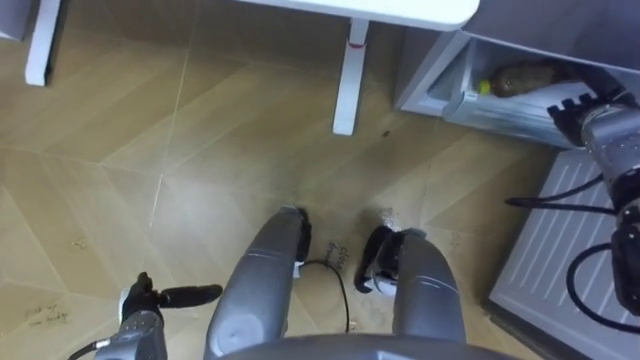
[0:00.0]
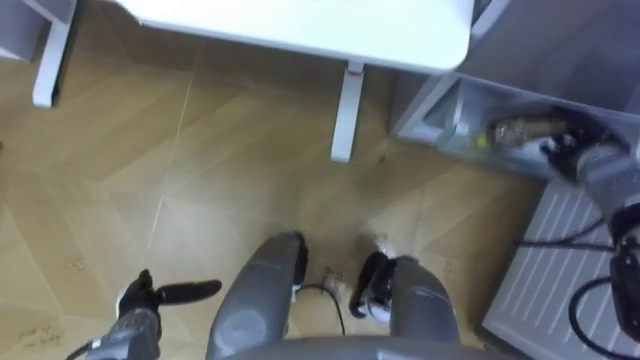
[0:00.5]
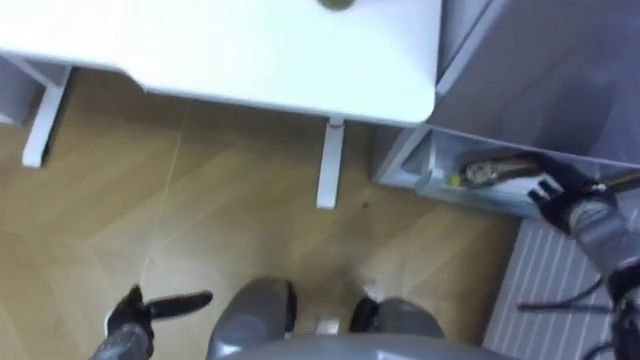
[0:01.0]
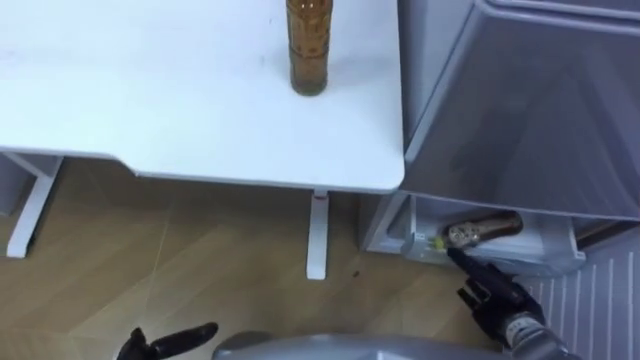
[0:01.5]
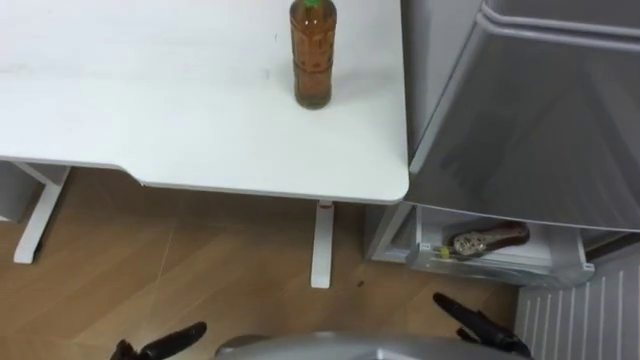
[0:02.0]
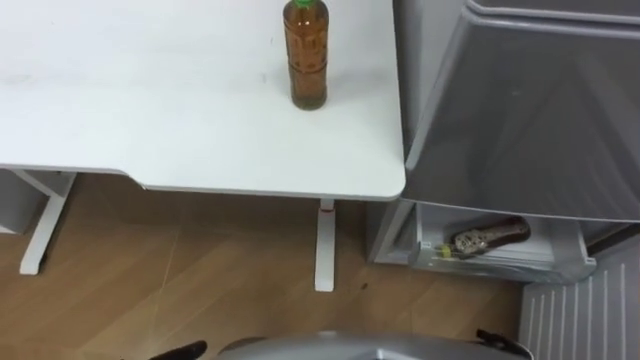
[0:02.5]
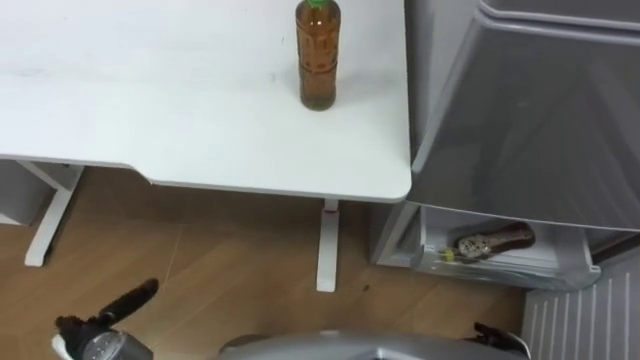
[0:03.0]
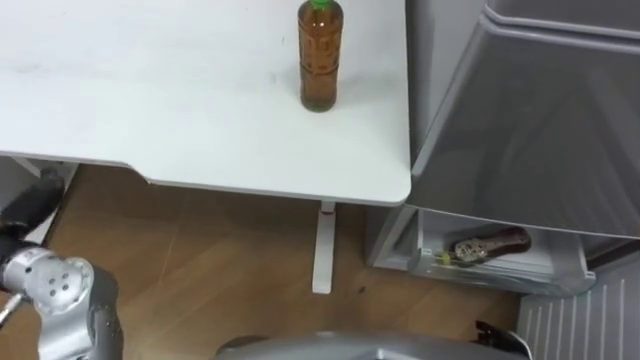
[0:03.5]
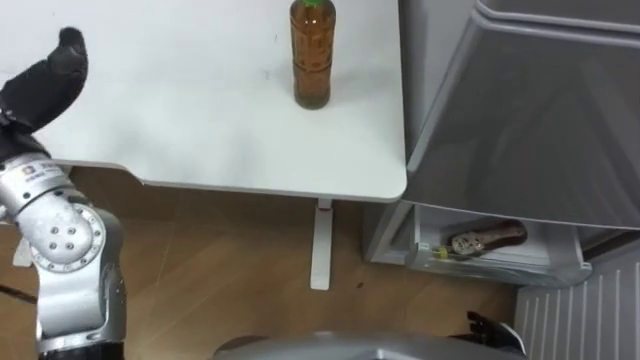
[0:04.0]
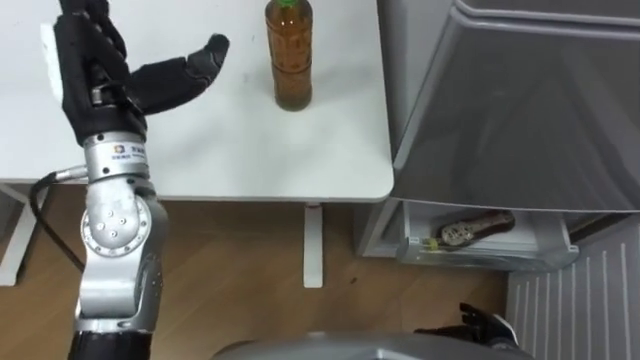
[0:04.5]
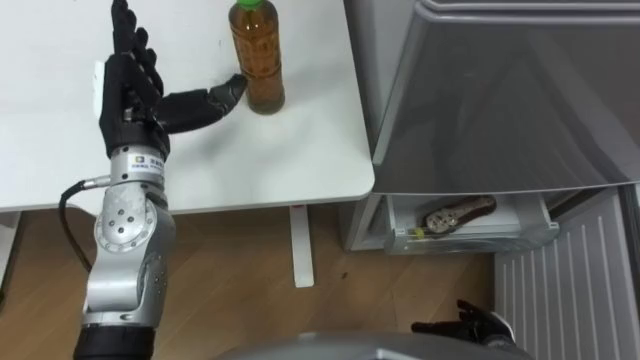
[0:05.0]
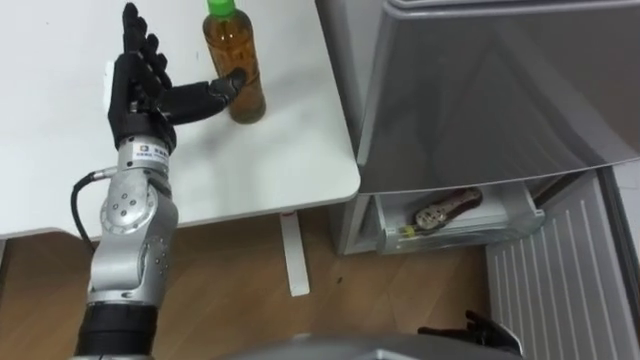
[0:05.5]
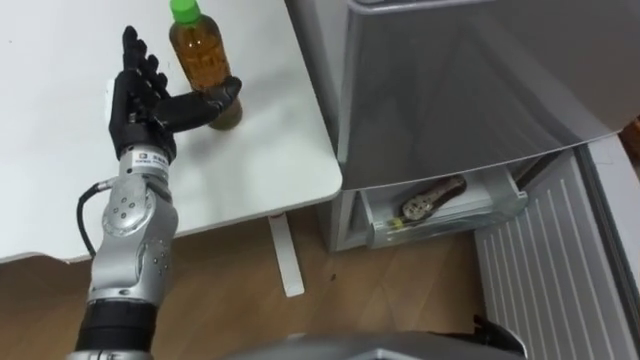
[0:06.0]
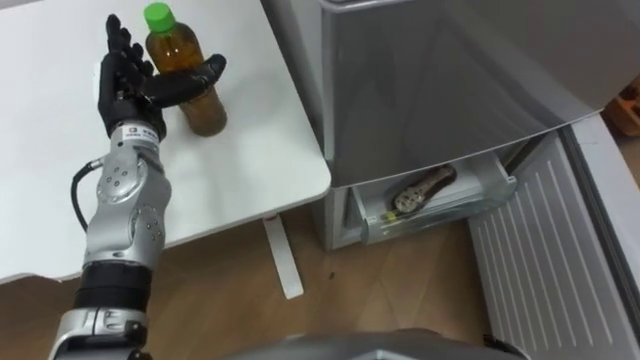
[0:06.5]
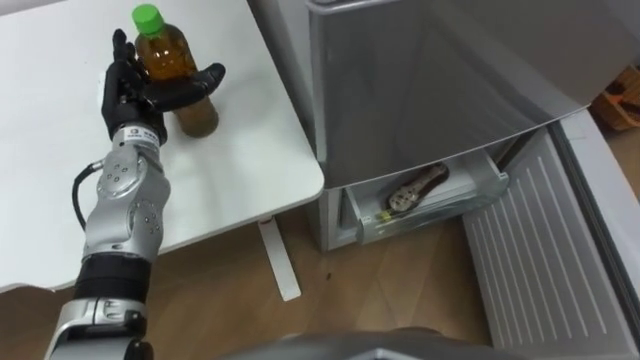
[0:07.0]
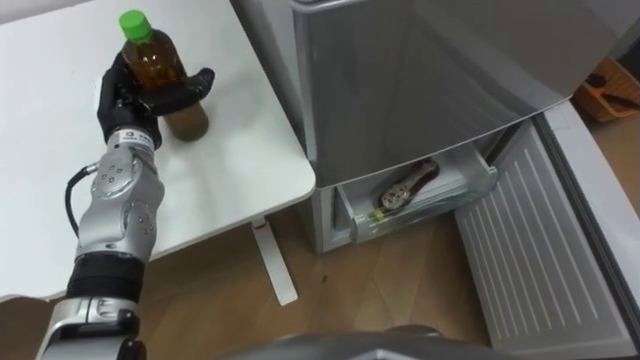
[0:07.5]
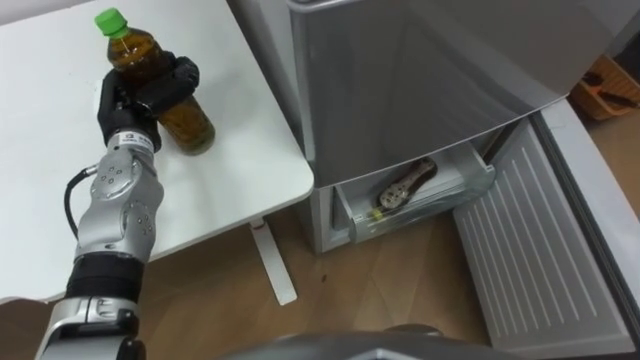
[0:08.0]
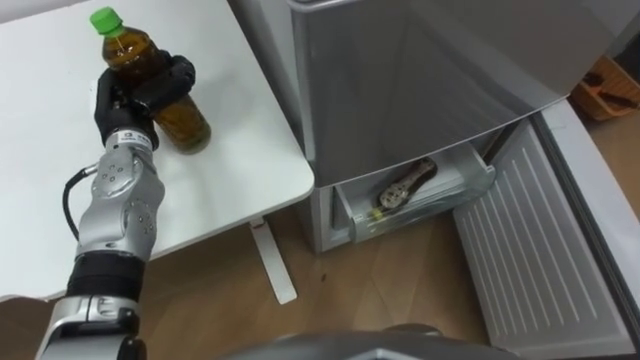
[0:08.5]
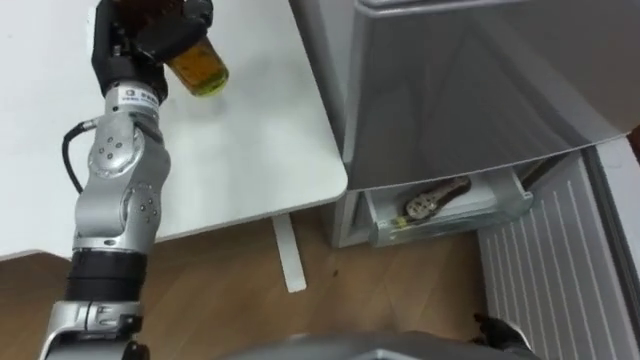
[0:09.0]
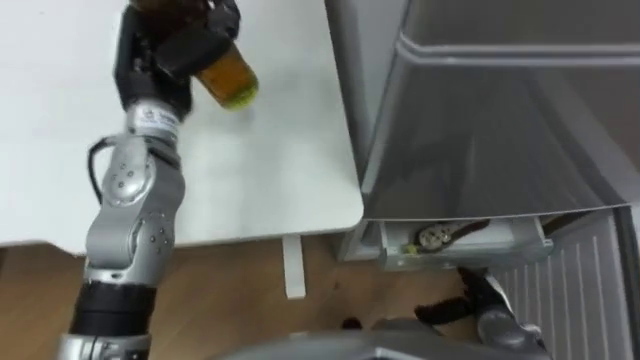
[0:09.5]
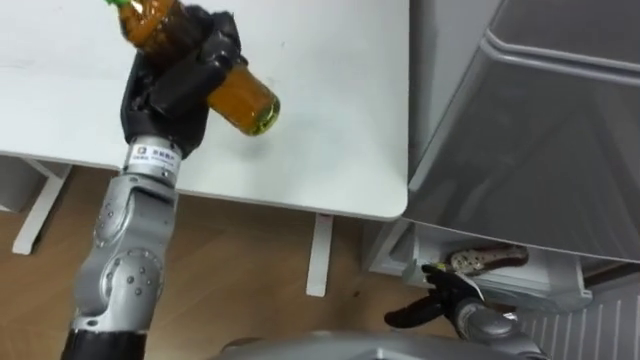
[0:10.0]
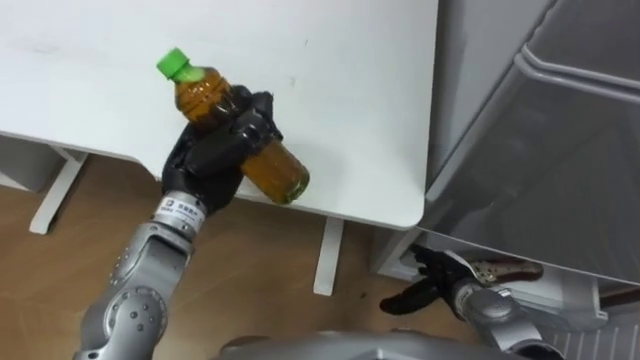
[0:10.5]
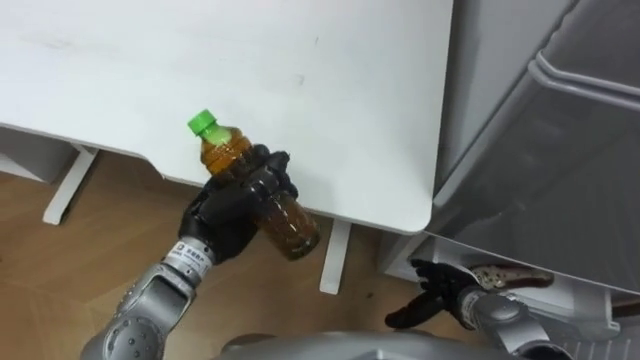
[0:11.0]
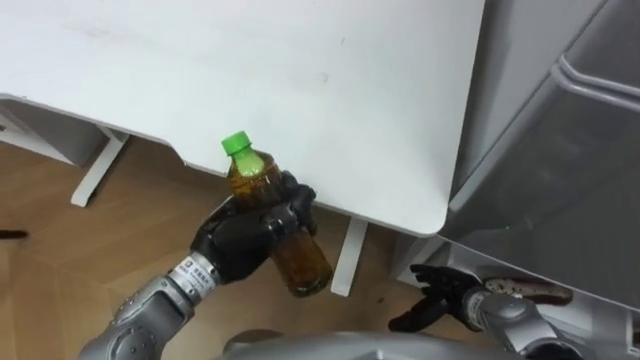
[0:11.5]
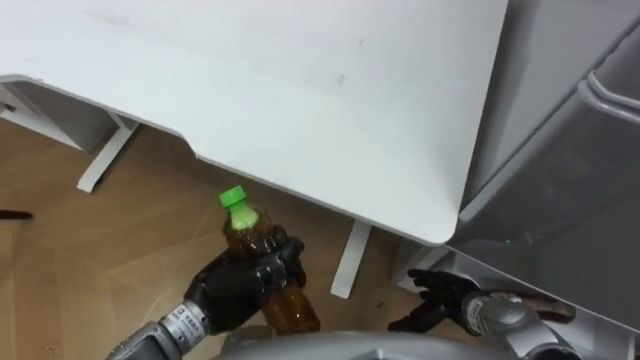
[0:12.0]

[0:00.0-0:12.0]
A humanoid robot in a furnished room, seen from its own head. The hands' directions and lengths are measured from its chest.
Task of the whole recording: Place the drink on the table on the bottom shelf of the refrigerator, then close the drawer and the refrigerator door.
0:00.0 to 0:02.0: The right hand moves backward and downward, roughly 35 cm.
0:06.0 to 0:08.0: The left hand closes its fingers.
0:08.0 to 0:10.0: The left hand heads upward and to the right, covering approximately 10 cm.
0:10.0 to 0:12.0: The left hand shifts roughly 25 cm downward and backward.

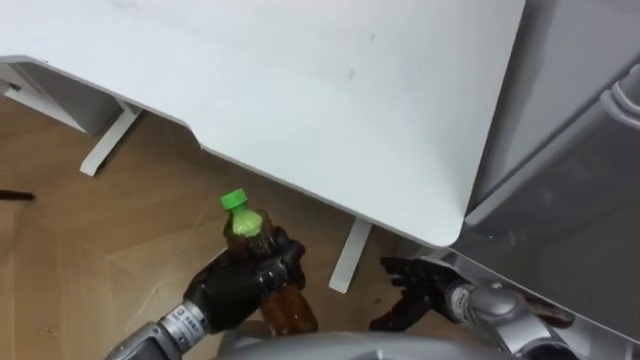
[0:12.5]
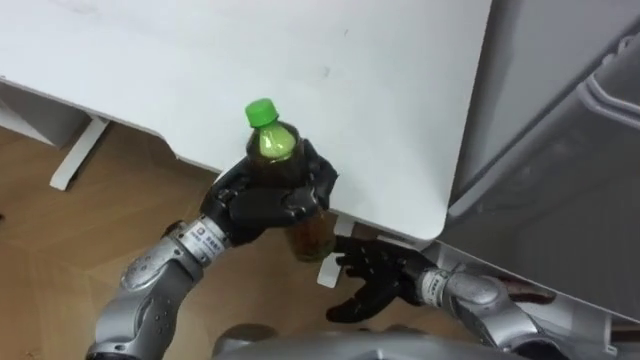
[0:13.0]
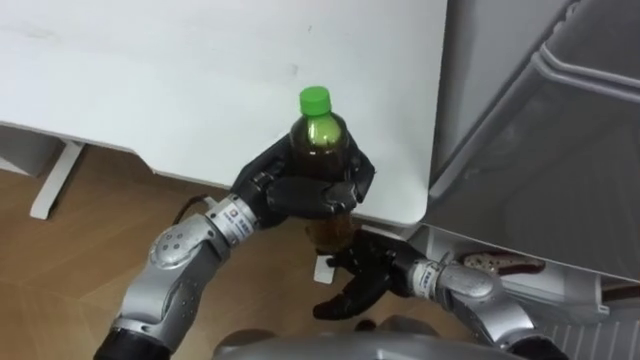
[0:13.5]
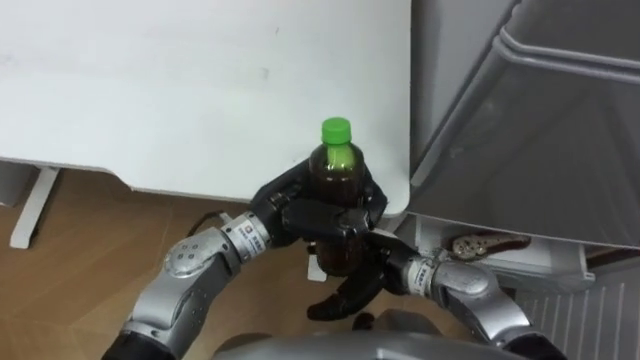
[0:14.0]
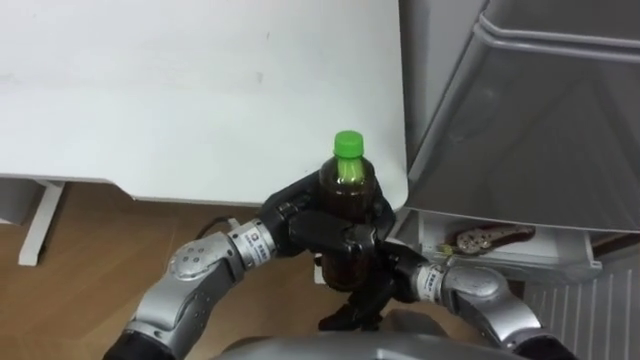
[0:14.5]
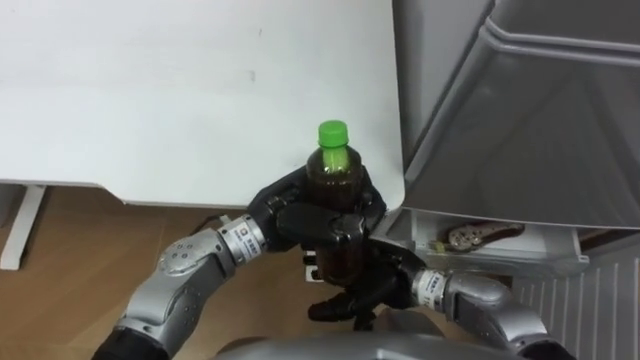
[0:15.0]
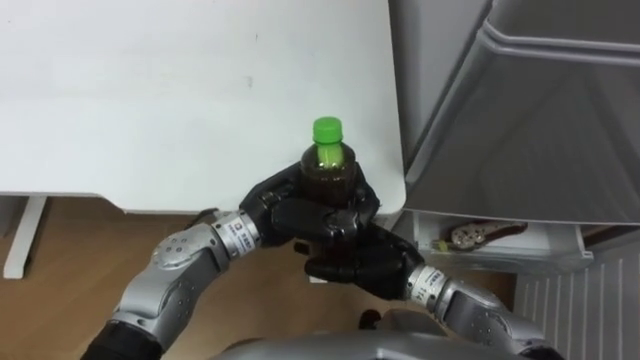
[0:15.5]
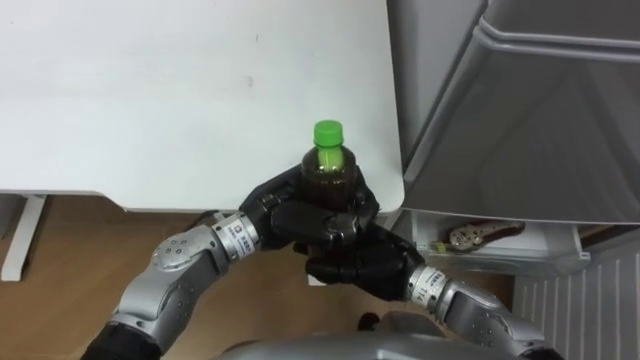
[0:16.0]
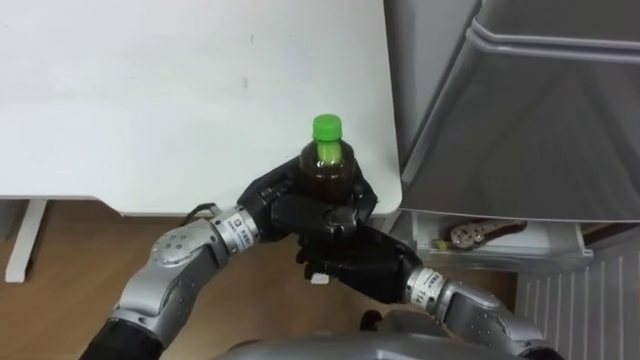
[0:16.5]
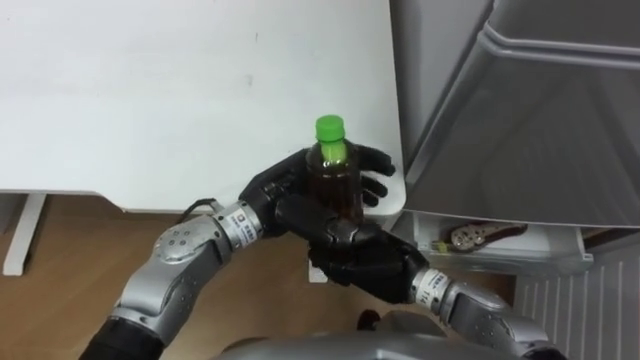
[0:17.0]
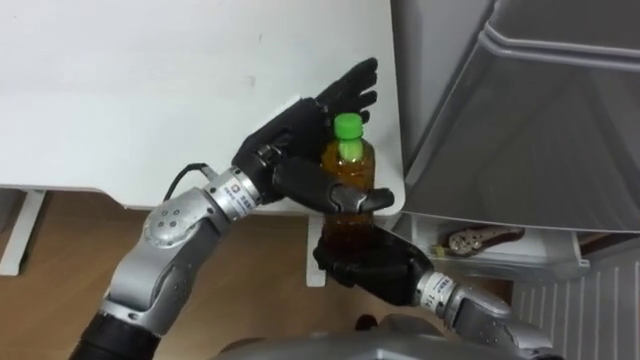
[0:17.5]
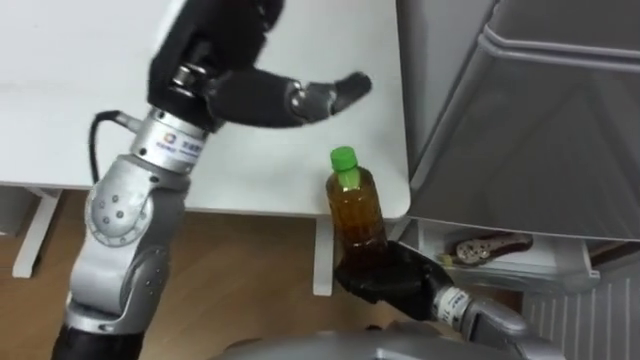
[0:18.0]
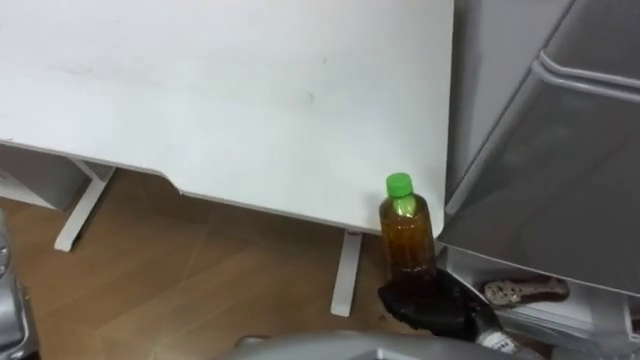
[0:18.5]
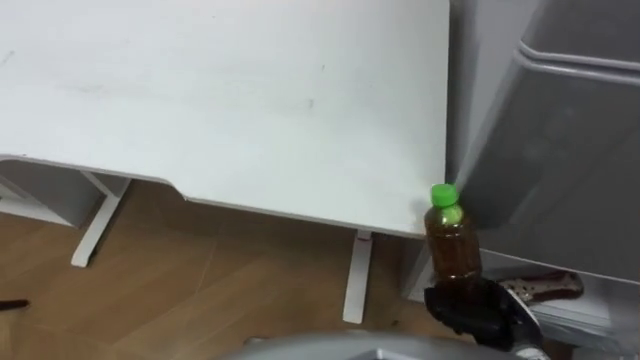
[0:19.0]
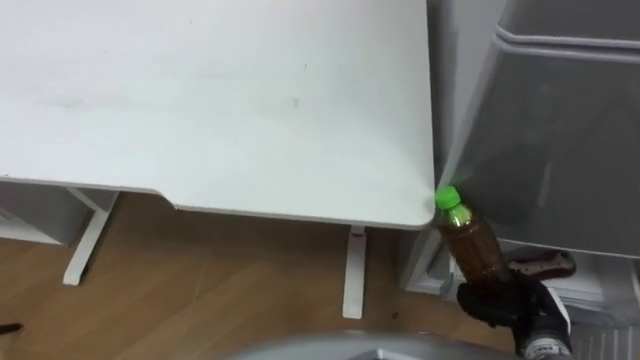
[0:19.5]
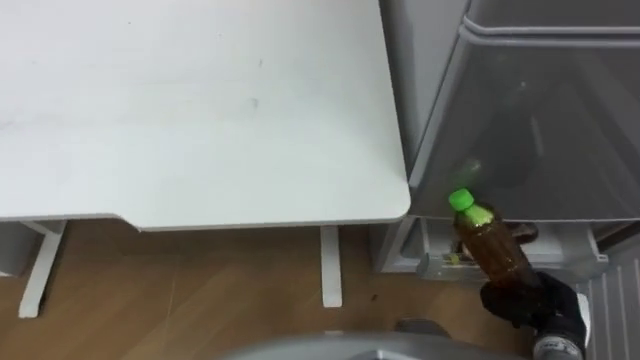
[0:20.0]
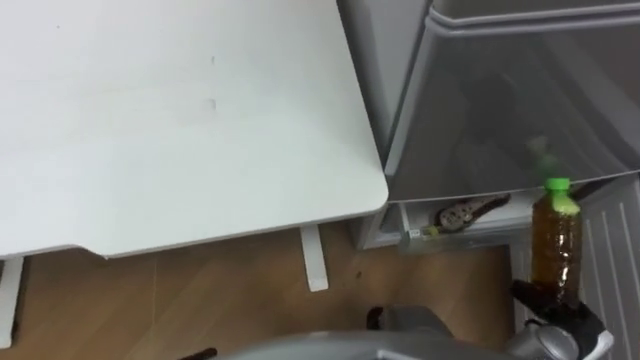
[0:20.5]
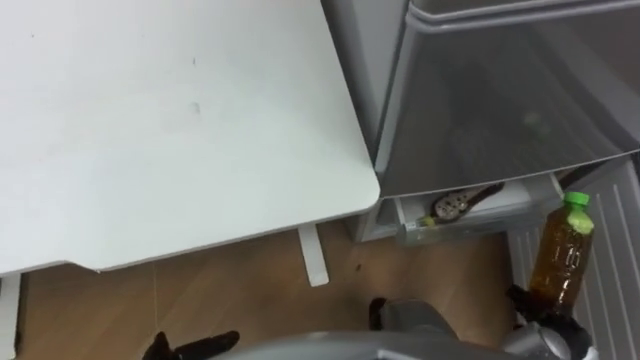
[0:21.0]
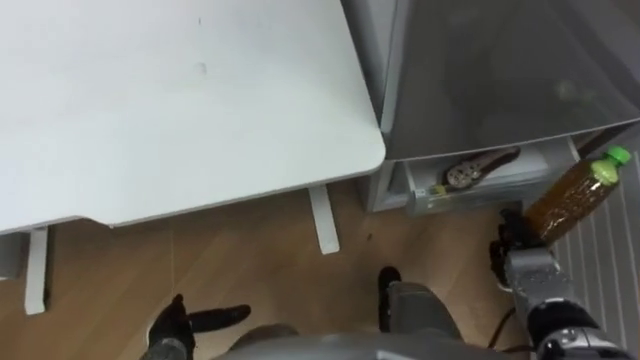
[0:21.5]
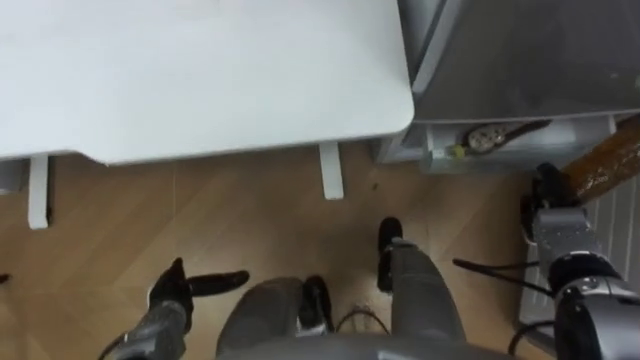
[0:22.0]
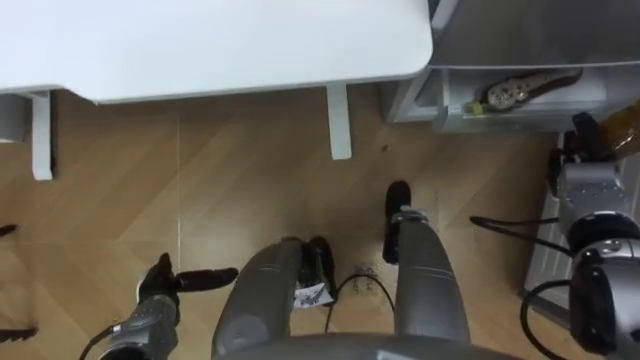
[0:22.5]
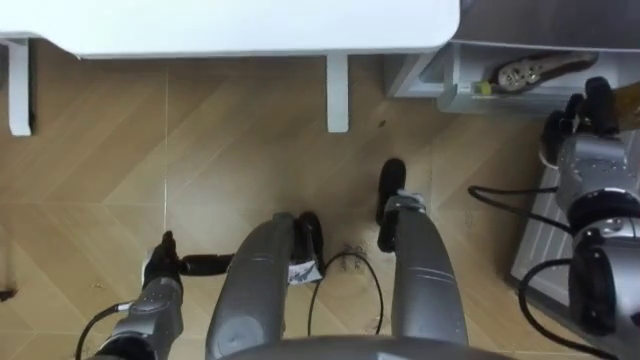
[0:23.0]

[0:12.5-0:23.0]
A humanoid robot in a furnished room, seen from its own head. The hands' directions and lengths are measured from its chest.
Task of the whole recording: Place the drink on the table on the bottom shelf of the refrigerator, then close the drawer and the refrigerator door.
0:12.5 to 0:14.5: The right hand travels to the left and upward by roughly 10 cm. Meanwhile the left hand travels to the right, forward and upward by roughly 15 cm.
0:14.5 to 0:16.5: The right hand closes up.
0:16.5 to 0:19.0: The right hand travels to the right and backward by approximately 20 cm.
0:19.0 to 0:21.0: The right hand is displaced to the right by about 10 cm.
0:21.0 to 0:23.0: The right hand is displaced forward and upward by about 30 cm.
